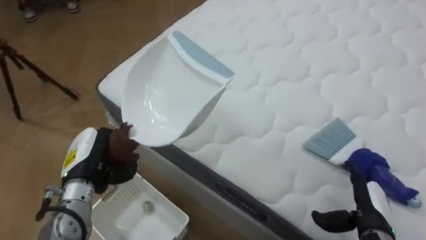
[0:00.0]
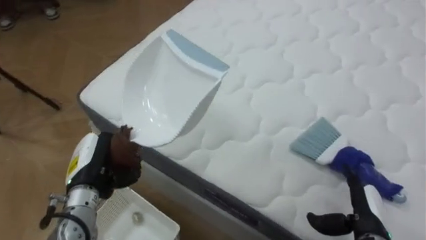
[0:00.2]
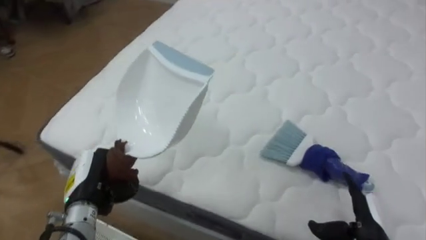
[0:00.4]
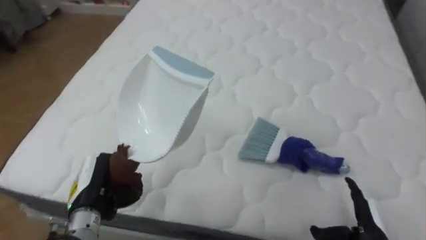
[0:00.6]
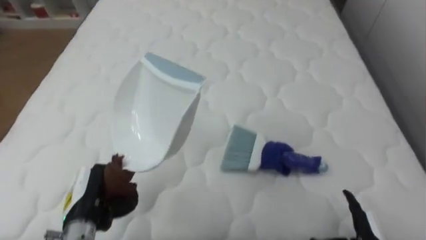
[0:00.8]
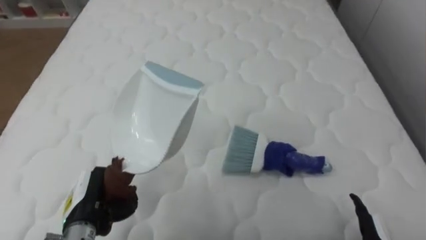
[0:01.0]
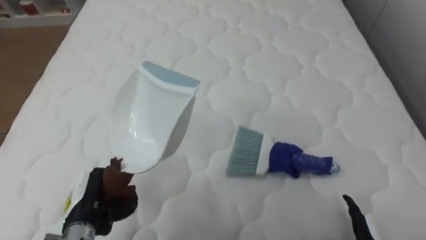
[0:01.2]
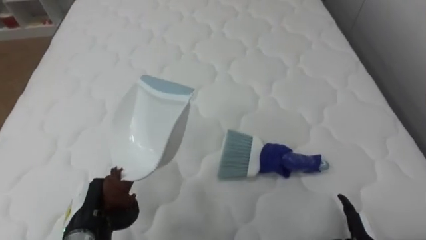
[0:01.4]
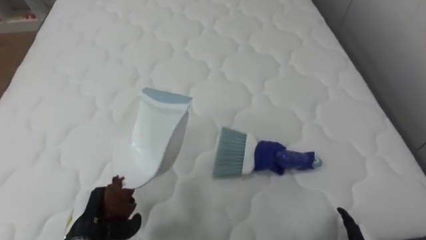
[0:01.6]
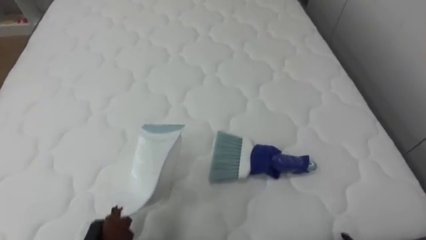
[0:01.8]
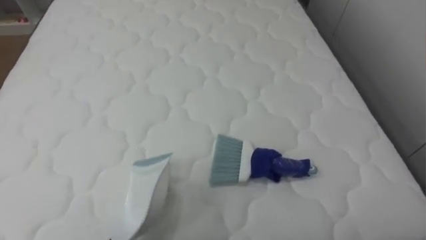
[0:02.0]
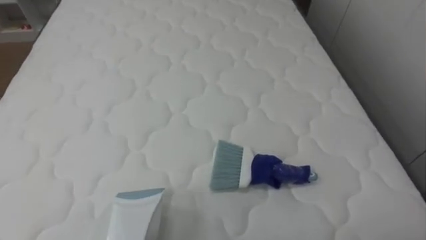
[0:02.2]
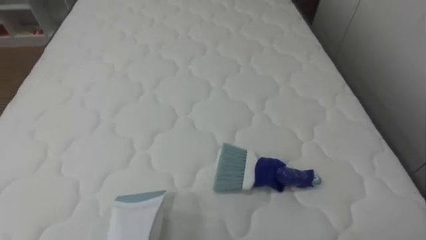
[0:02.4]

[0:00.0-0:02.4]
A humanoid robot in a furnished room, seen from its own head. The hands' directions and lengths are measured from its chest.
Task of the whole recording: Pick up the brush on your right and the dustpan on your left. Use the brush to sweep the crumpled paper on the bed into the dustpan, then turn left and empty it into the basket.
0:00.0 to 0:01.2: The robot faces some 40 degrees further to its right. The left hand goes roughly 10 cm backward and downward.

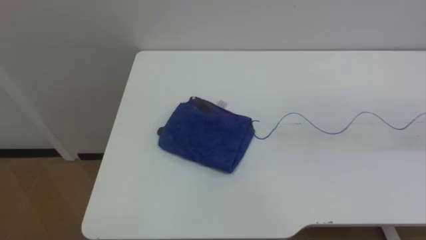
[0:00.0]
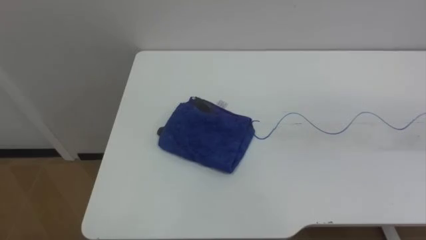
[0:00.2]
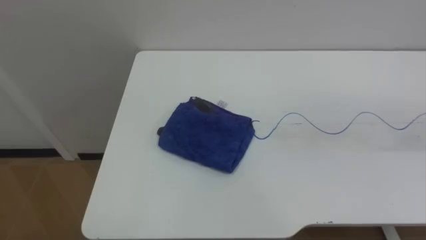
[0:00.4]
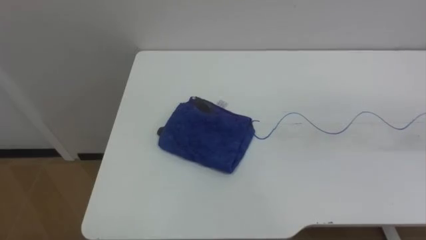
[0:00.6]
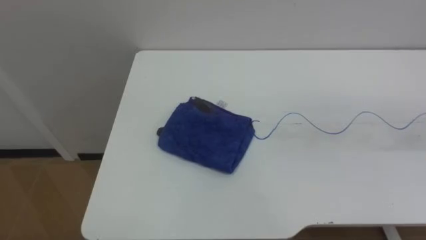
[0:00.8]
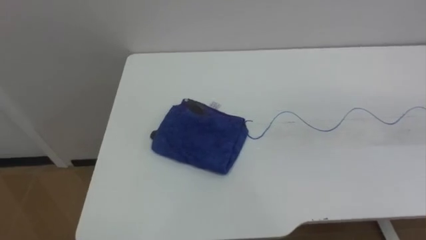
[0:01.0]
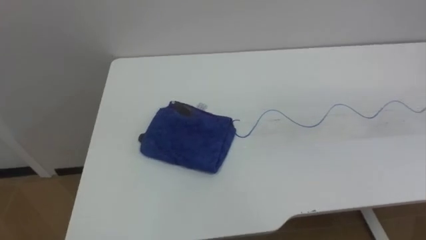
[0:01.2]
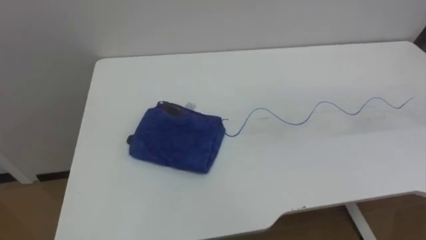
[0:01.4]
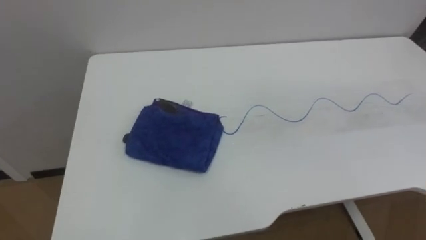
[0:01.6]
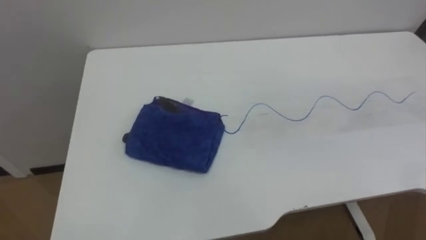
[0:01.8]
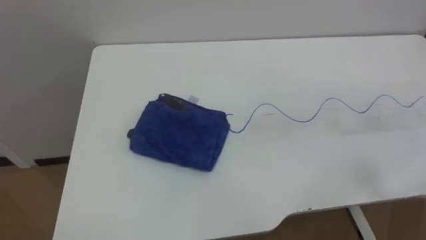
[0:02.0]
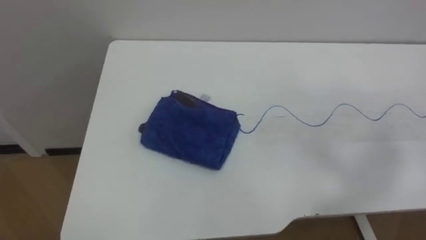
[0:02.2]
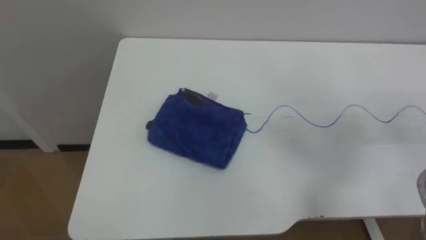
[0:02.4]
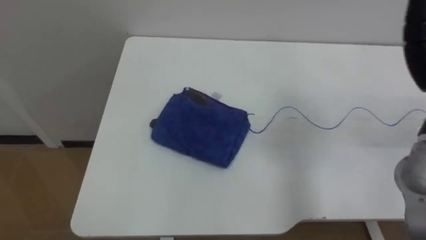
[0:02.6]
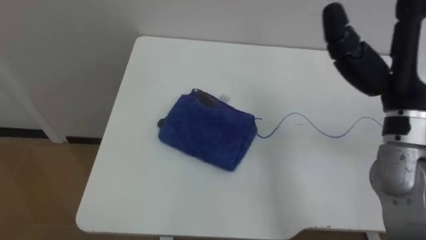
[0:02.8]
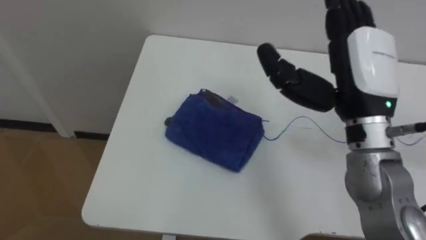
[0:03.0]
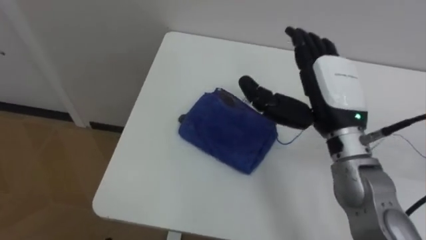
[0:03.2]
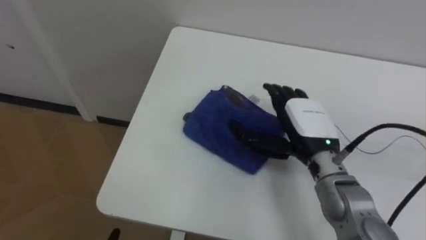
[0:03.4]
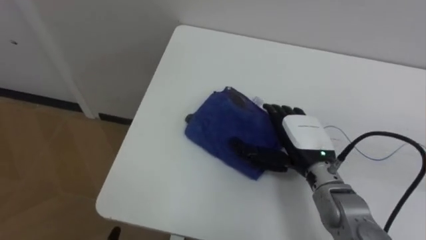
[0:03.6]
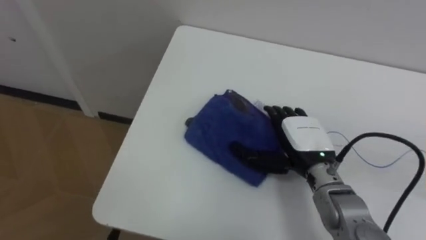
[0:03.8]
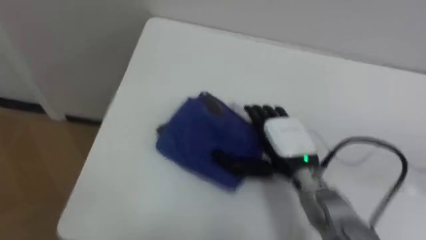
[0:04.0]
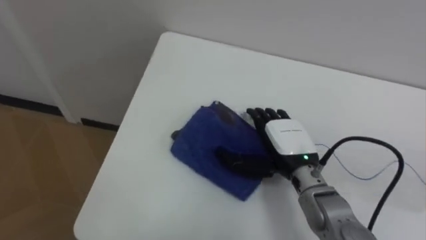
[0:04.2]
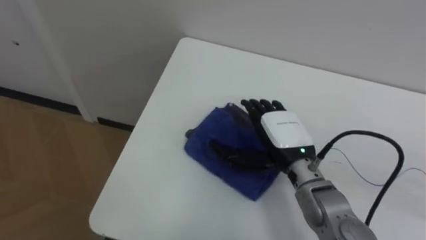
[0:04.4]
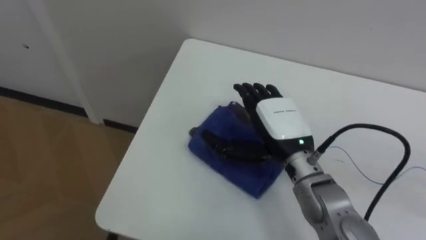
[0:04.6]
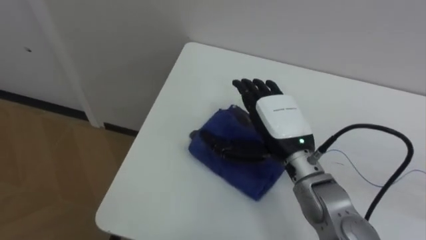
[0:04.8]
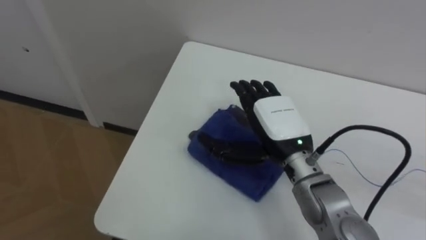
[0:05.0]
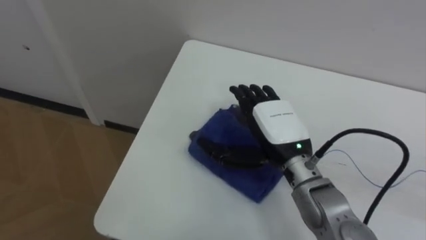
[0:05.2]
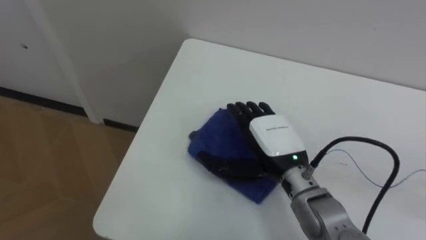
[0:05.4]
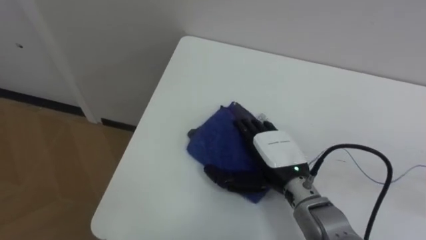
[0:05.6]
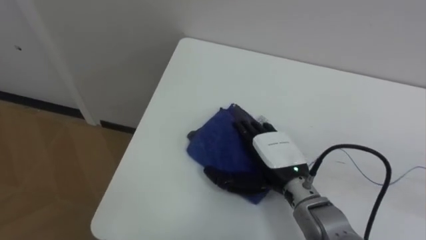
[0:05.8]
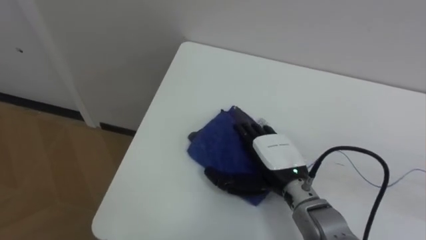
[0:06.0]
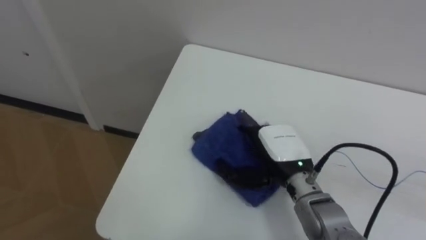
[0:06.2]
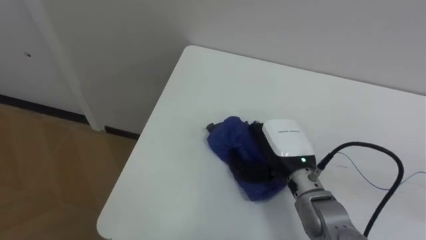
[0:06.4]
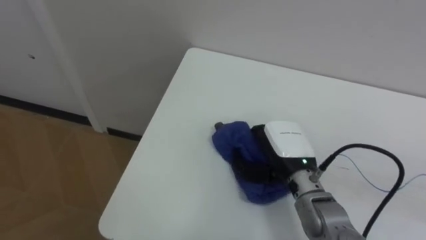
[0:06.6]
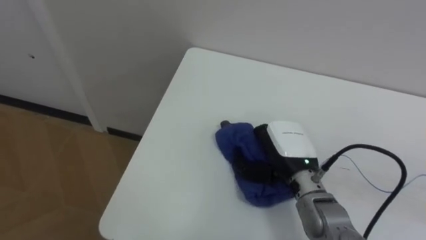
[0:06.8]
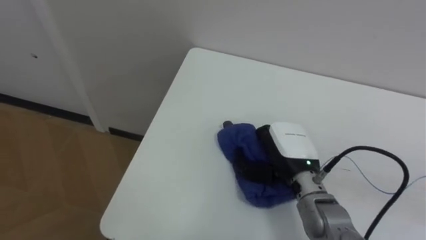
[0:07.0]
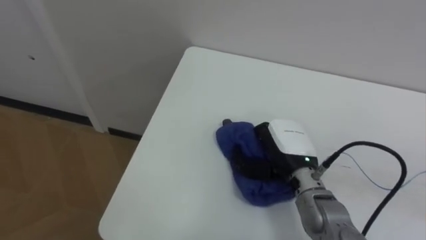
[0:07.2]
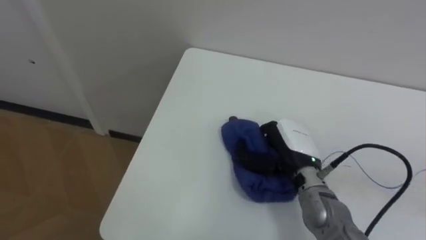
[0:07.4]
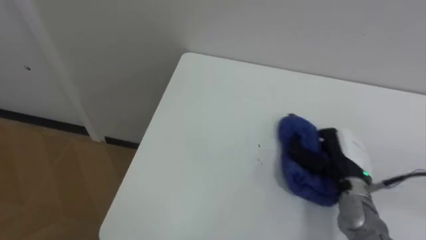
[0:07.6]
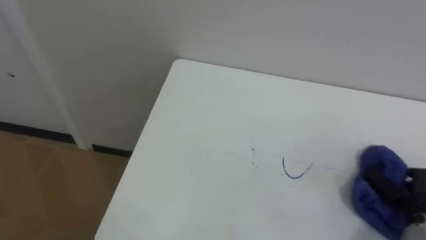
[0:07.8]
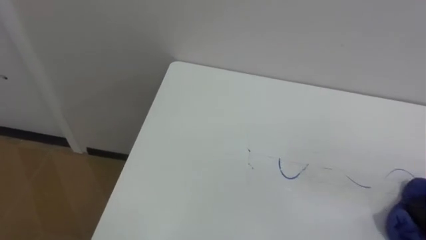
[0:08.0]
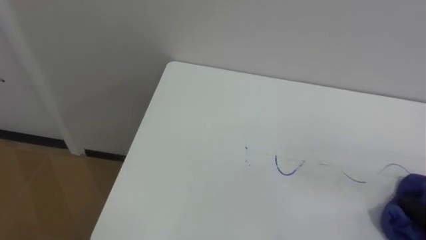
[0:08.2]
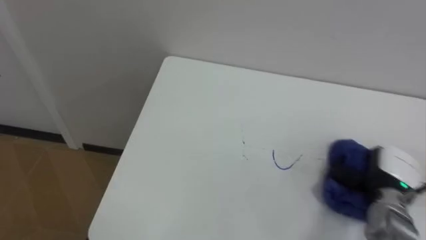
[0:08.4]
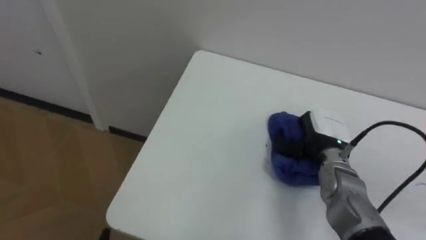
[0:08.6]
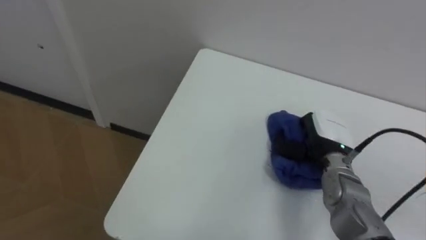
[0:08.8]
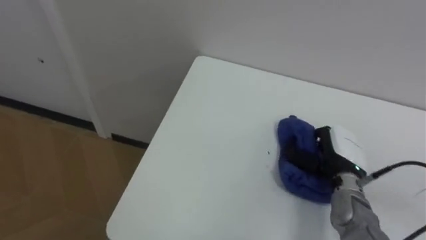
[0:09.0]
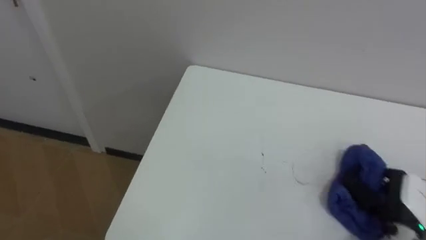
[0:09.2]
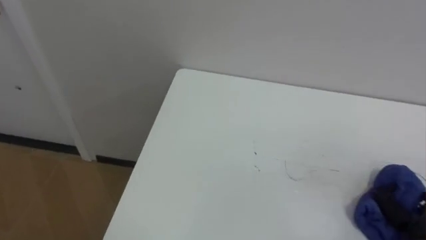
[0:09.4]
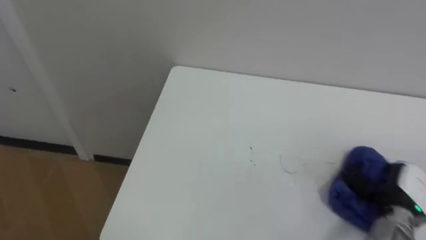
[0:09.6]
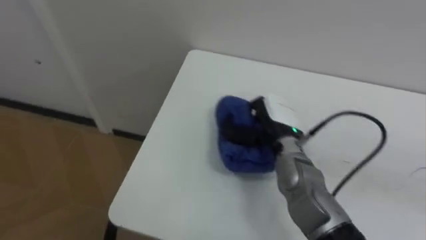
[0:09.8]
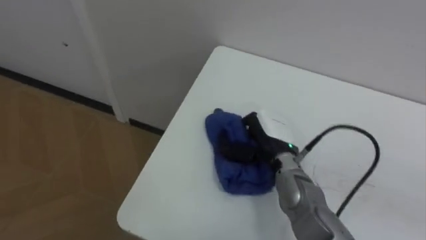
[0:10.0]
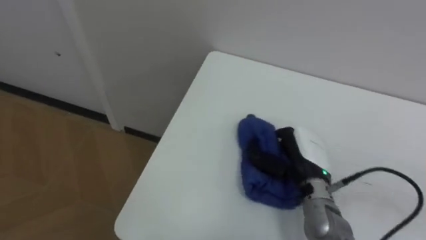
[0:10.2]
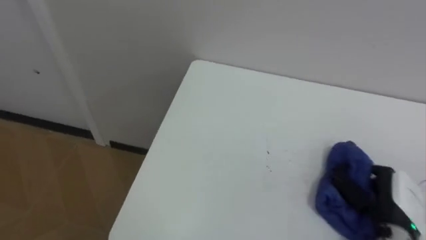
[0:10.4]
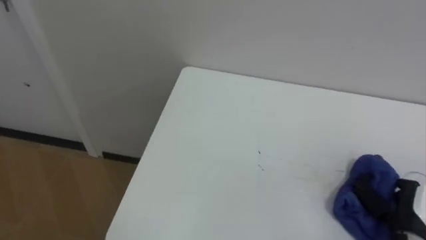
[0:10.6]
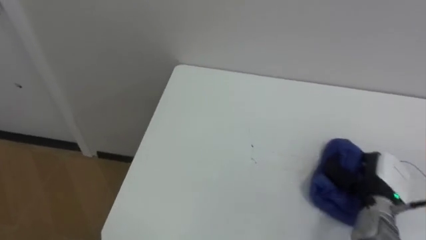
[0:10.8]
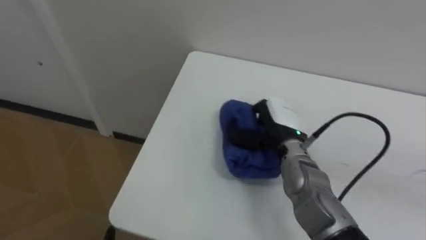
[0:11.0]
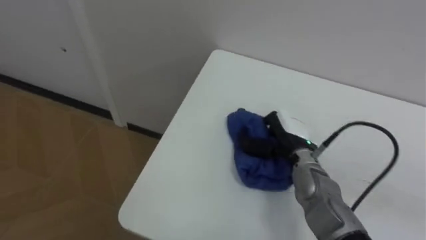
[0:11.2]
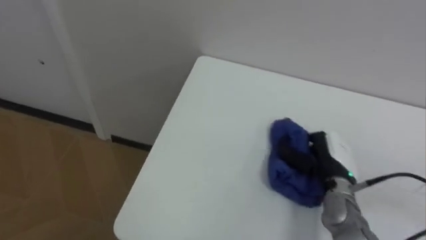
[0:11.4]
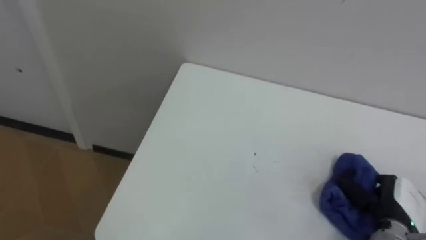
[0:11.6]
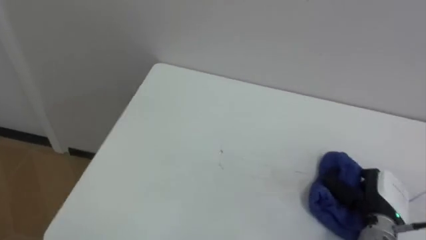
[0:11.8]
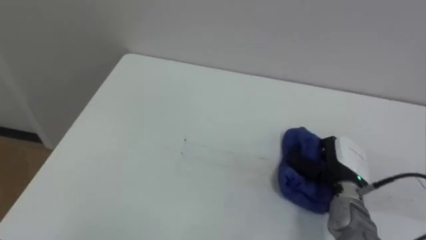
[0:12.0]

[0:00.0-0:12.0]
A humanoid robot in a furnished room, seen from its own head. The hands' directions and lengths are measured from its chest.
Task of the whole recording: Wipe the blue pen marks off the table with the rag.
0:03.0 to 0:04.4: The right hand heads downward and to the left, covering approximately 20 cm.
0:06.0 to 0:07.6: The right hand shifts roughly 10 cm to the right, and closes up.
0:09.0 to 0:10.4: The right hand swings left and right, some 30 cm each way, with 2 reversals.
0:10.4 to 0:12.0: The right hand goes left and right, approximately 20 cm each way, reversing 3 times.

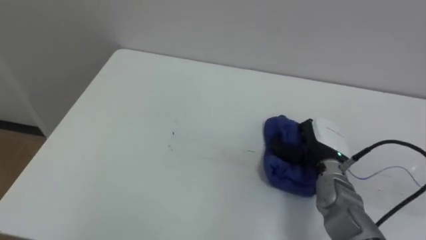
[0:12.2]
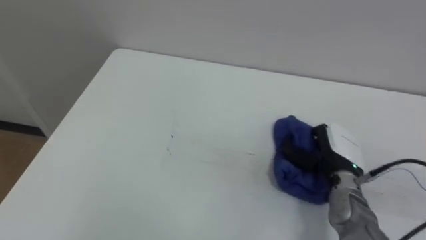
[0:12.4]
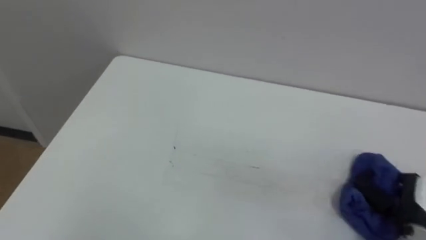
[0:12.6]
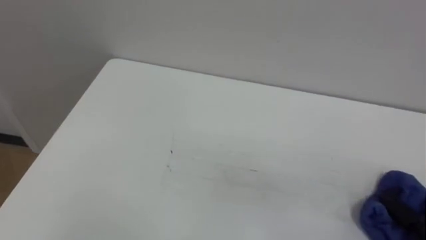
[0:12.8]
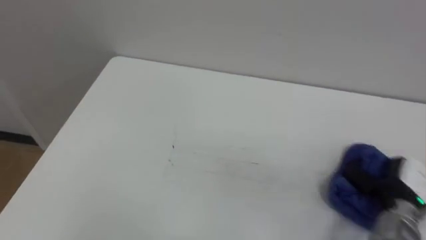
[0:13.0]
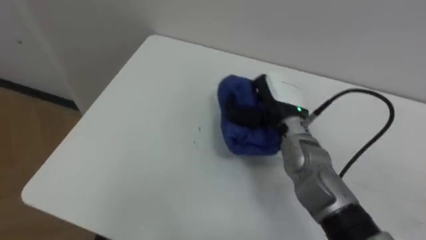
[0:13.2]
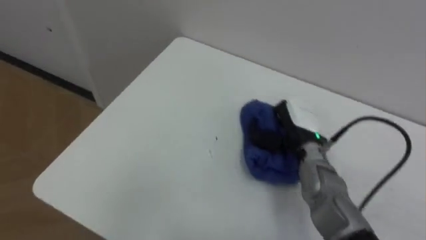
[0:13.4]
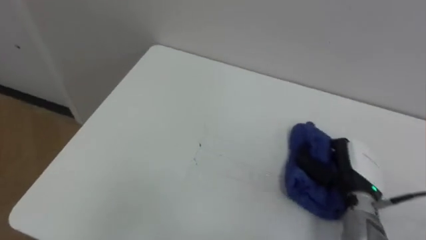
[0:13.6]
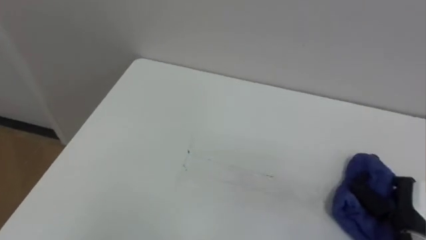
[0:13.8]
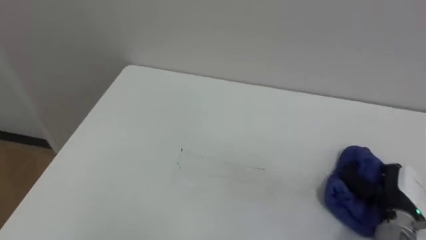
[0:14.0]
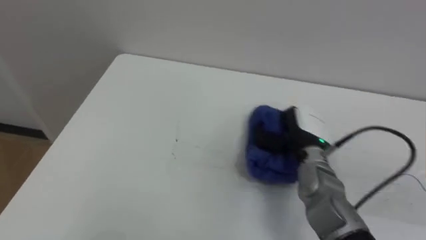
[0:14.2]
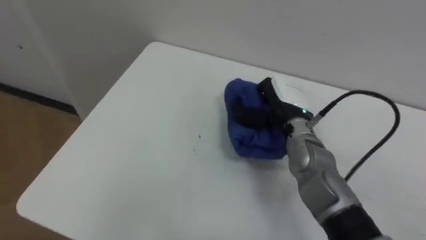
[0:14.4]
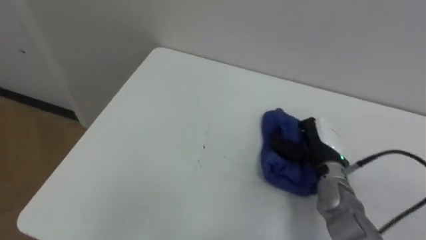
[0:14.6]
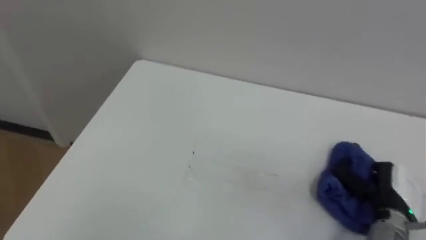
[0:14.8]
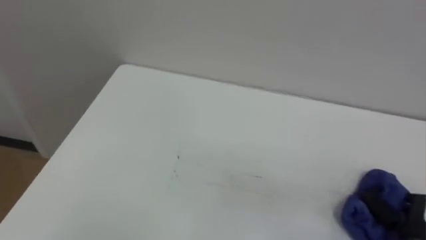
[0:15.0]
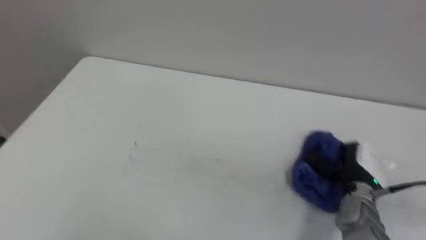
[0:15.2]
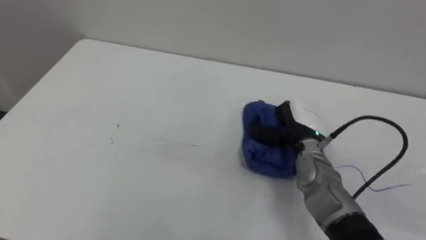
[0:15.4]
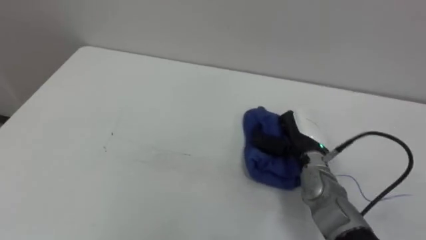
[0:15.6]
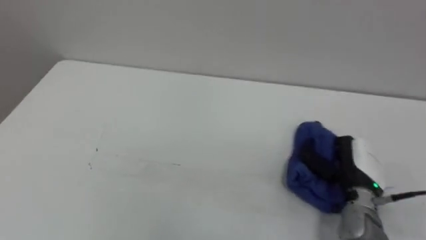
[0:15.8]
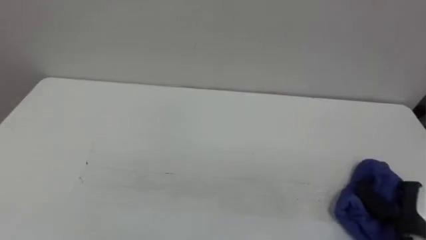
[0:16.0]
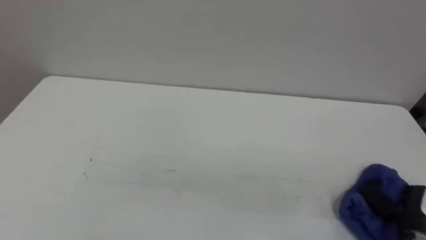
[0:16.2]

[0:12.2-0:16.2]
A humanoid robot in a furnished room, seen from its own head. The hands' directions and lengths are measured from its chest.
Task of the whole recording: Wipe the blue pen marks off the table with the rag.
0:13.6 to 0:14.8: The right hand goes left and right, some 20 cm each way, reversing 2 times.
0:14.8 to 0:16.2: The right hand goes left and right, approximately 20 cm each way, reversing 2 times.
